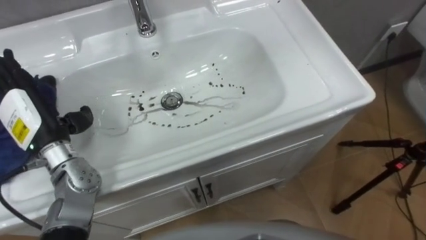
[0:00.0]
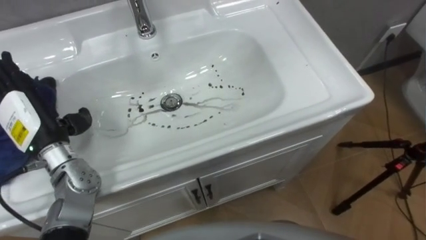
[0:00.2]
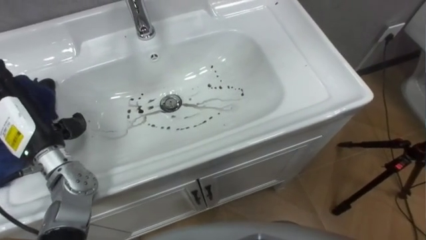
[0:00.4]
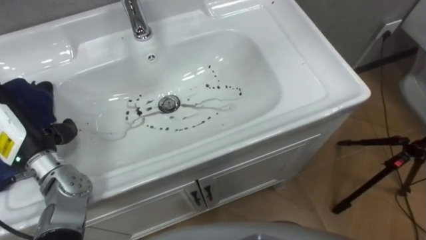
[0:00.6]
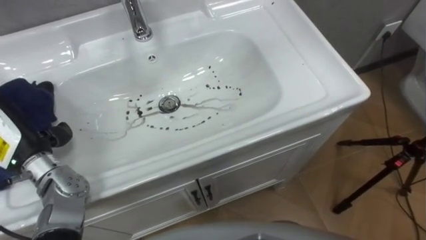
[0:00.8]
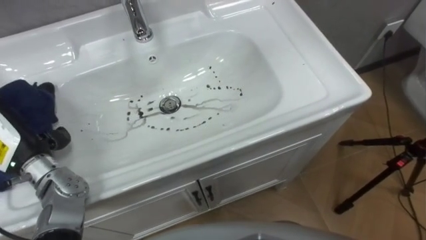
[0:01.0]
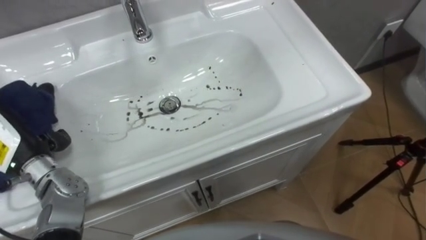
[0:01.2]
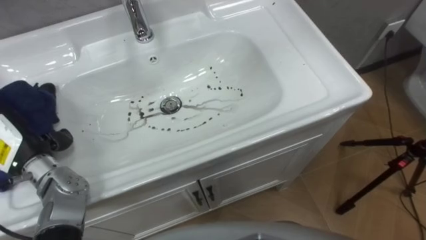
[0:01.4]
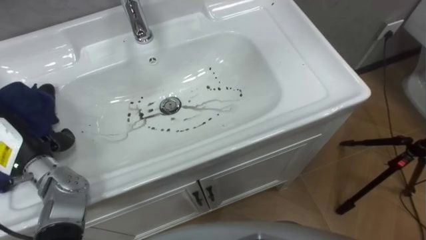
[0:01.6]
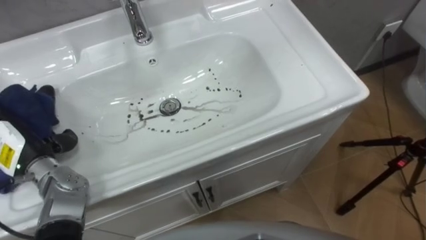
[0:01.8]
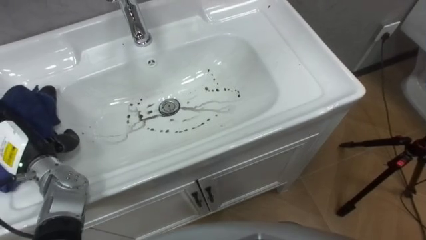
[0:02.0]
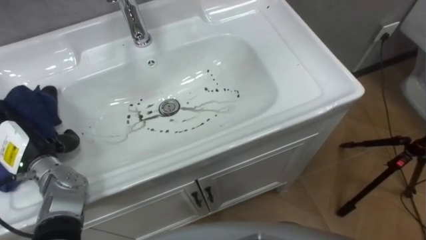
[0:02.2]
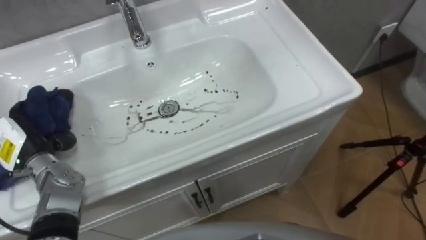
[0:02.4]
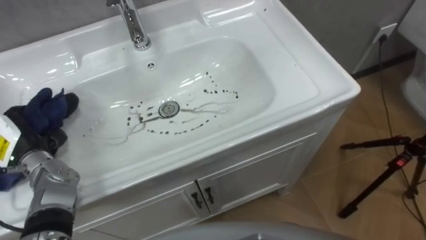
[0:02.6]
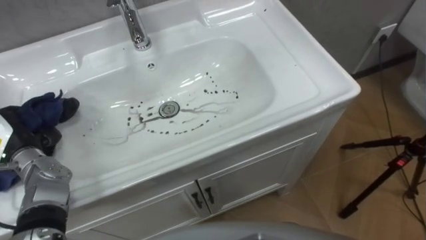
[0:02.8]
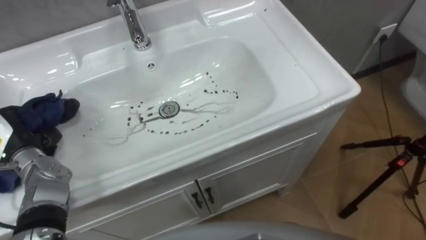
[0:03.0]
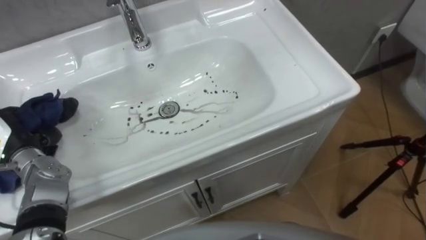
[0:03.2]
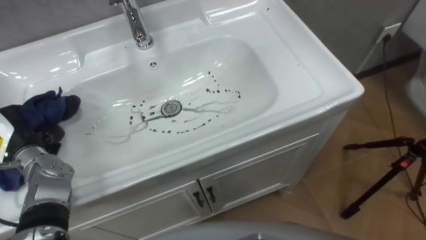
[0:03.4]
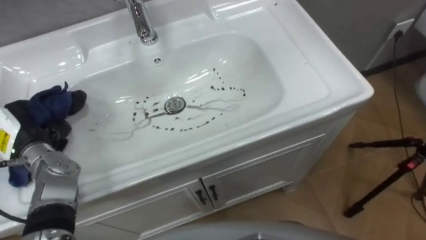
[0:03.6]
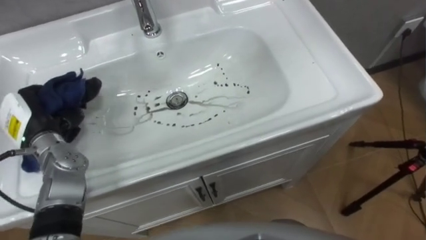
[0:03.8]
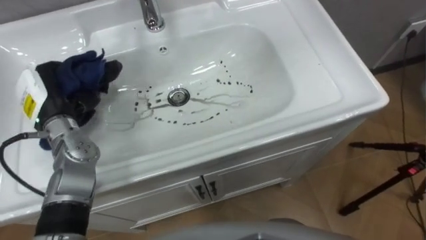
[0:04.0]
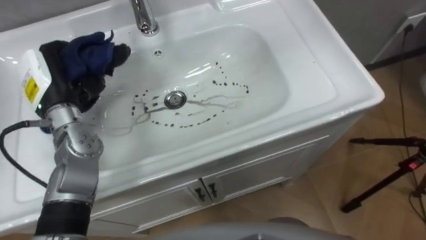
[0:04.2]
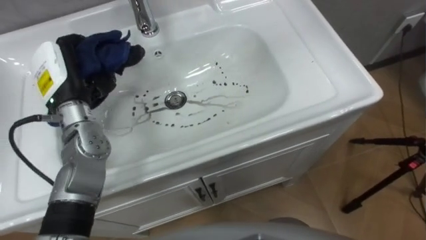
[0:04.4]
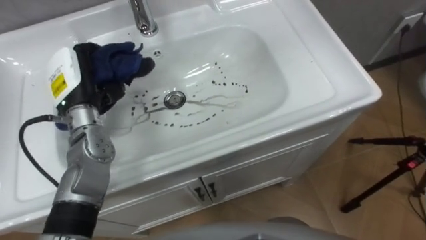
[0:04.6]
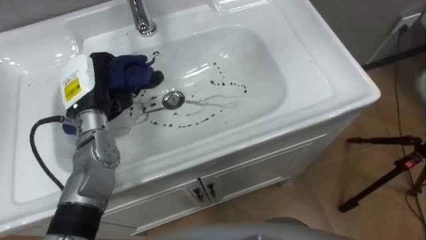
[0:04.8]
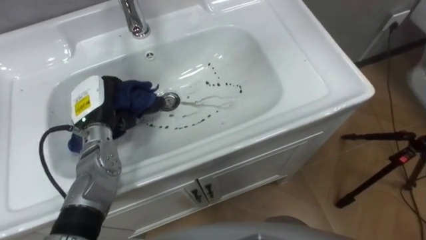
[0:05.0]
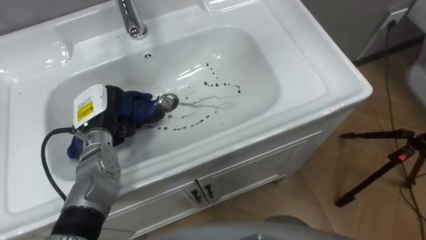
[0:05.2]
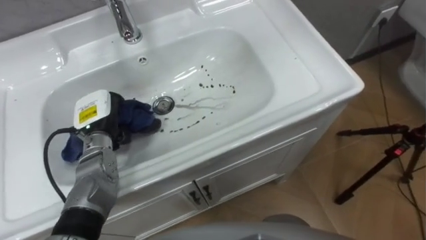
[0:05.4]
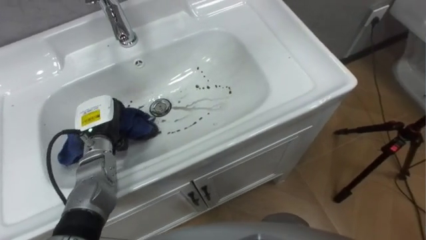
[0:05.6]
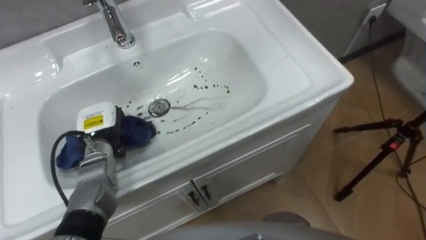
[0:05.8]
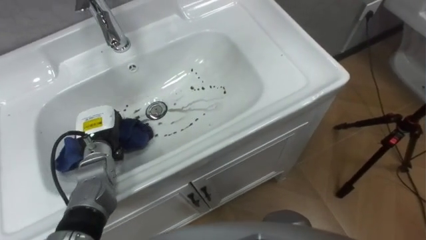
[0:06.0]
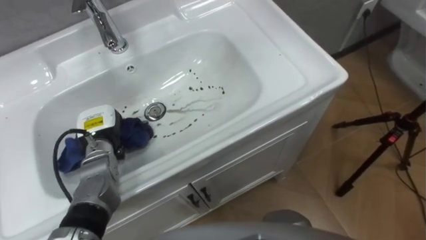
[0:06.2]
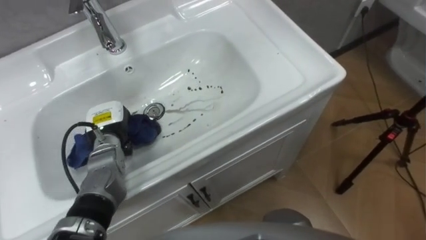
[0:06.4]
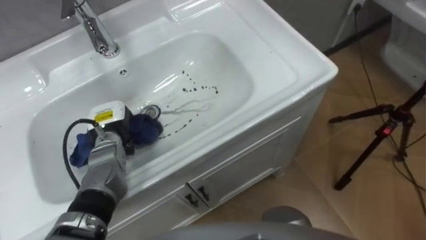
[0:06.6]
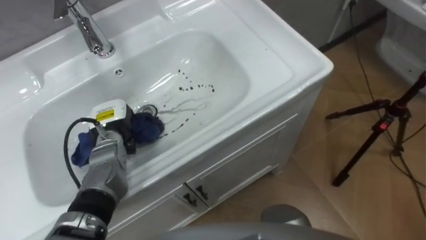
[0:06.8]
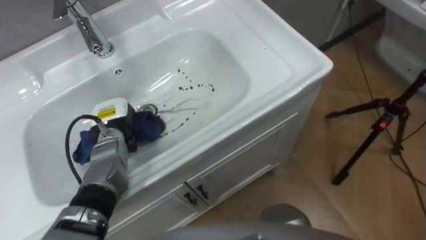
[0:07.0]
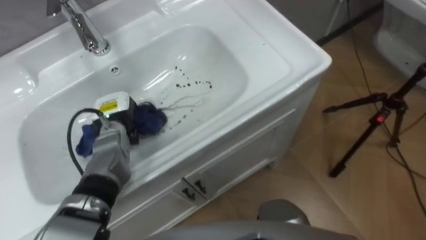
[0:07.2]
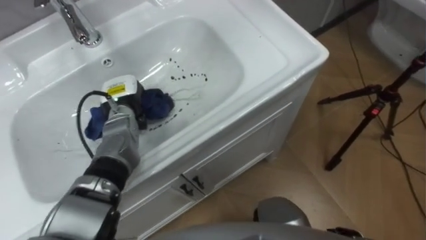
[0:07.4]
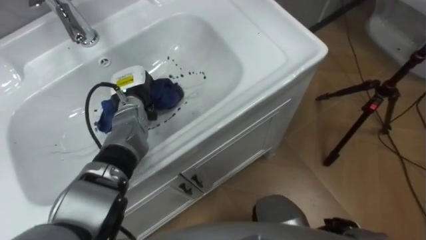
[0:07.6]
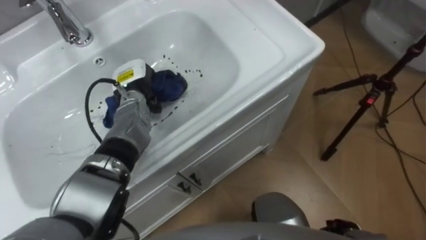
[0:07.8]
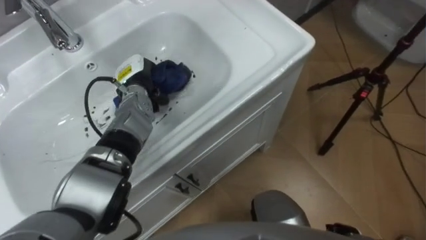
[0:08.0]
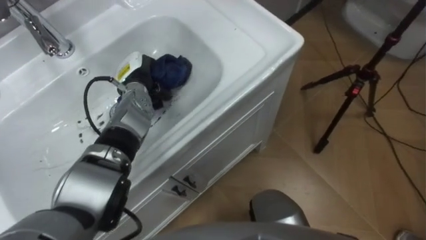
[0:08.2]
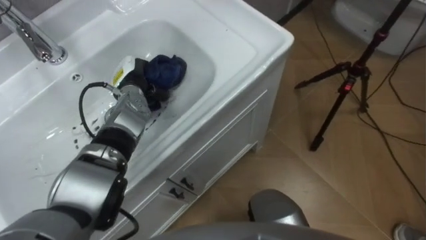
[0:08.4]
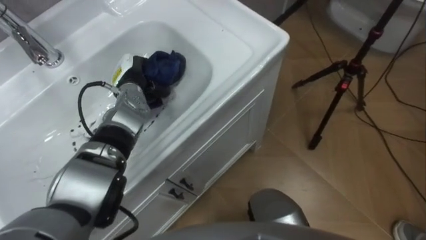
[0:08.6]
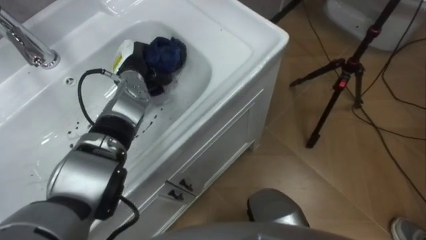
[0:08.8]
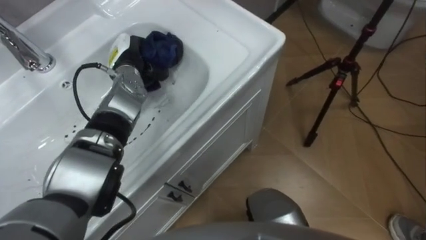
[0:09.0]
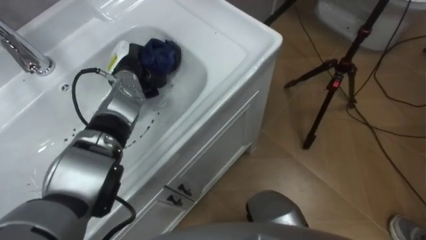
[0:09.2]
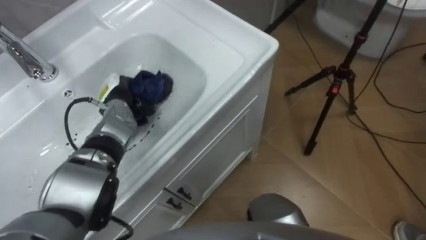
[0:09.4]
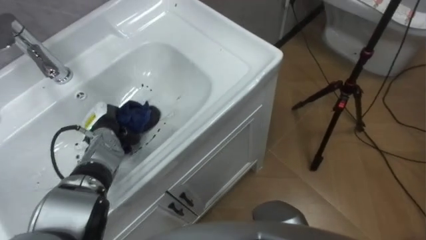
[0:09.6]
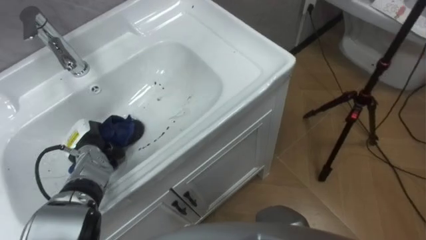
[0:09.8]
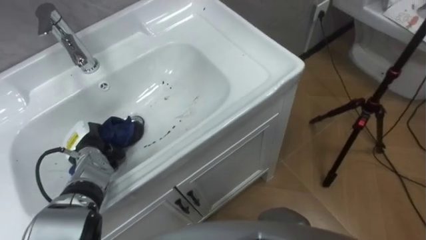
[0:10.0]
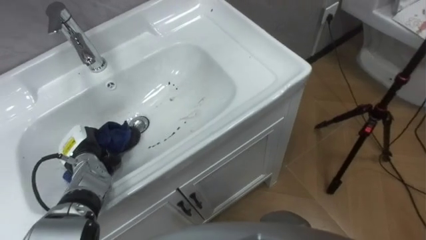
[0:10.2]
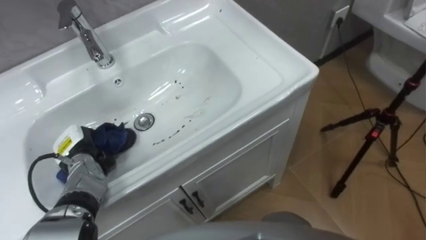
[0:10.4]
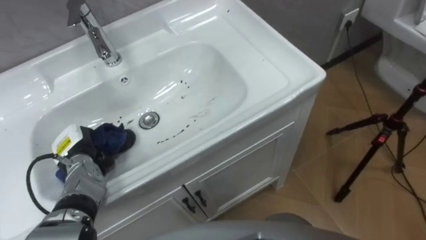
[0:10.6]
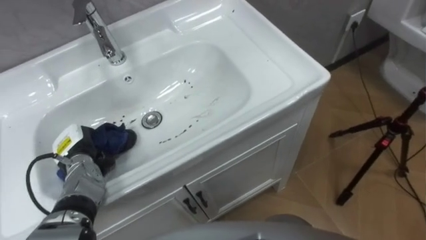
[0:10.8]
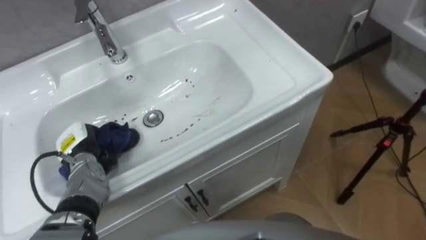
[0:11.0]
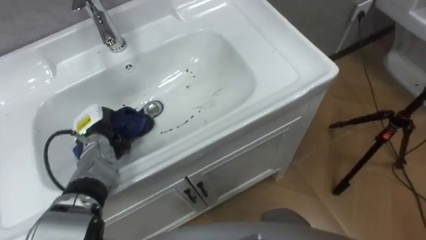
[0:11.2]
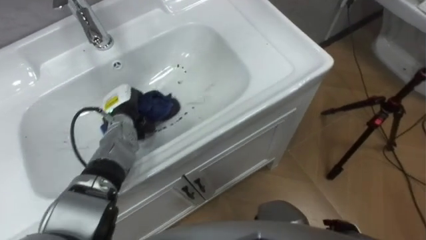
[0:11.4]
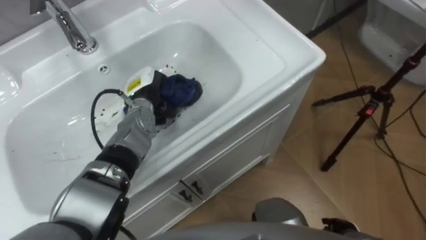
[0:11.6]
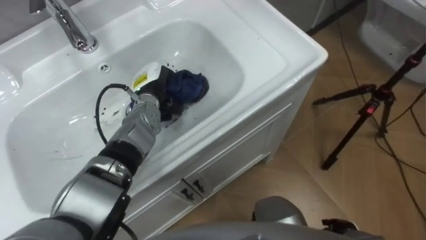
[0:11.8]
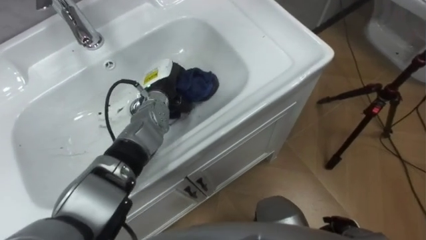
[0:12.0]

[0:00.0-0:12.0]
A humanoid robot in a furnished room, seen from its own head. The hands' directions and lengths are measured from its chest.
Task of the whole recording: Use the cloth on the right to wipe away the black stain in the sink.
0:00.0 to 0:01.6: The left hand shifts by about 5 cm.
0:01.6 to 0:03.0: The left hand closes its fingers.
0:03.0 to 0:04.4: The left hand shifts about 15 cm to the right, upward and forward.
0:04.4 to 0:06.0: The left hand moves downward, about 15 cm.
0:06.0 to 0:07.6: The left hand is displaced forward and to the right by some 10 cm.
0:07.6 to 0:09.0: The left hand ends up approximately 5 cm from where it was.
0:09.0 to 0:10.4: The left hand shifts approximately 25 cm backward, to the left and downward.
0:10.4 to 0:12.0: The left hand travels to the right and forward by some 25 cm.

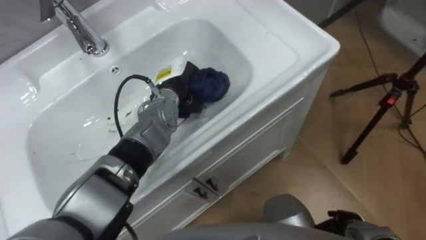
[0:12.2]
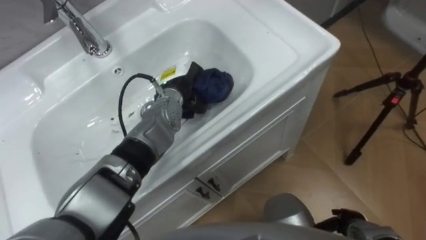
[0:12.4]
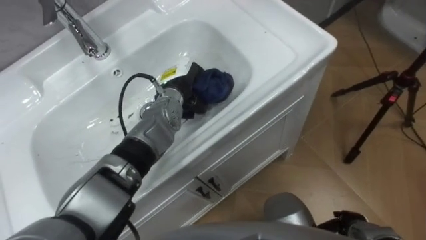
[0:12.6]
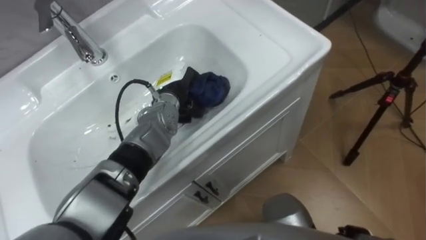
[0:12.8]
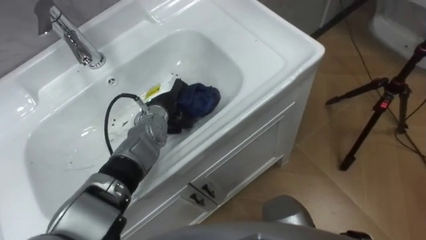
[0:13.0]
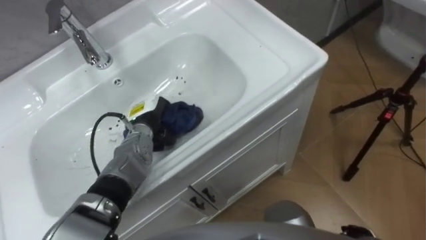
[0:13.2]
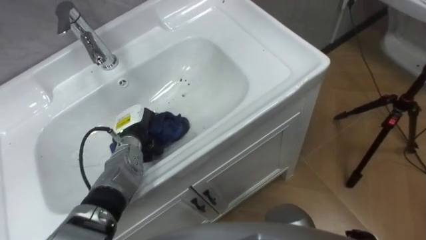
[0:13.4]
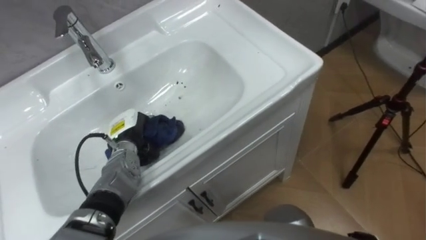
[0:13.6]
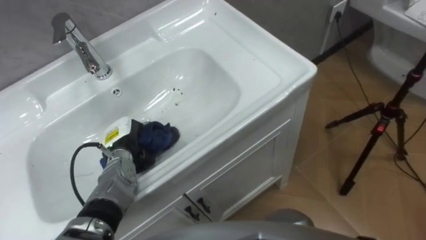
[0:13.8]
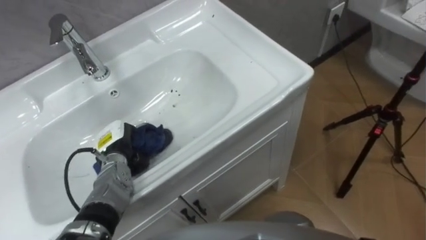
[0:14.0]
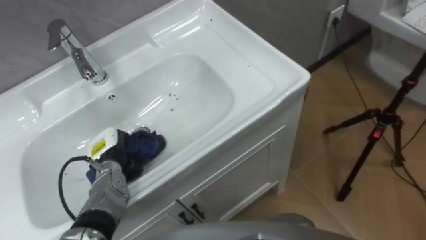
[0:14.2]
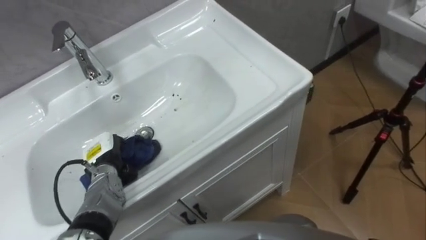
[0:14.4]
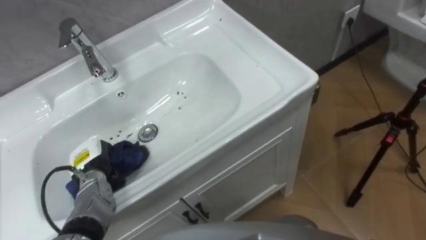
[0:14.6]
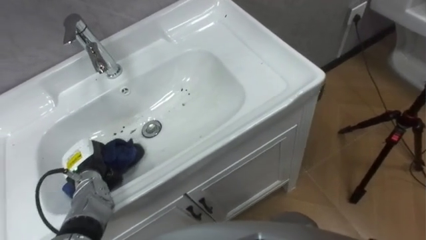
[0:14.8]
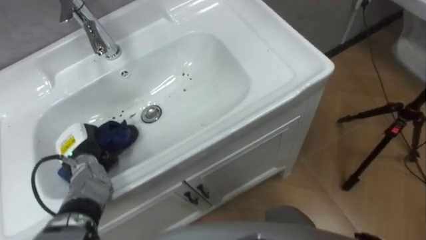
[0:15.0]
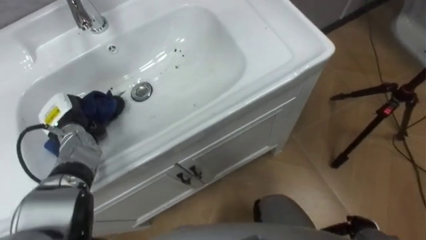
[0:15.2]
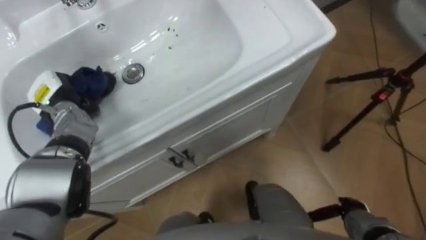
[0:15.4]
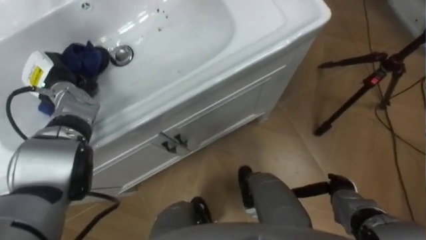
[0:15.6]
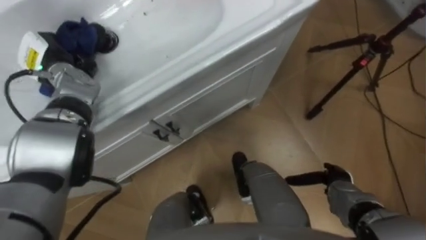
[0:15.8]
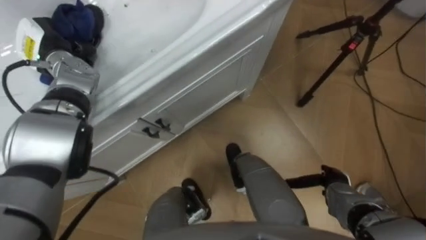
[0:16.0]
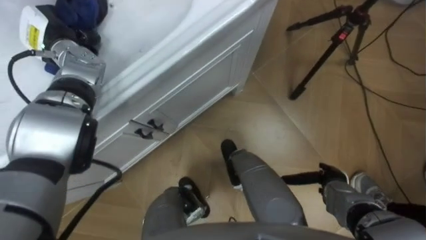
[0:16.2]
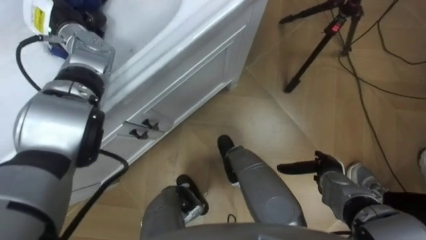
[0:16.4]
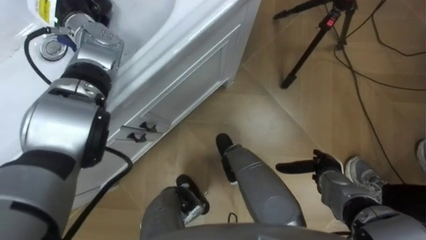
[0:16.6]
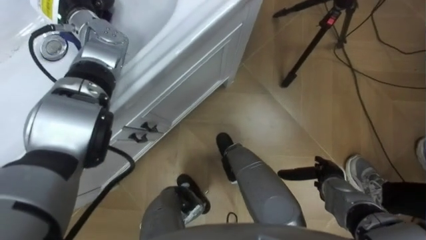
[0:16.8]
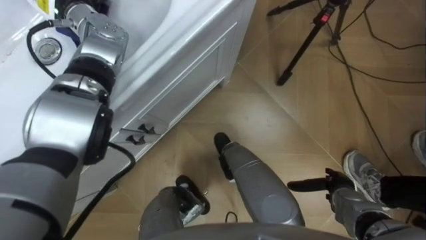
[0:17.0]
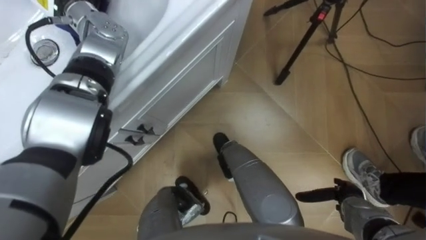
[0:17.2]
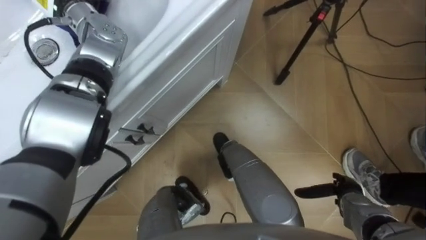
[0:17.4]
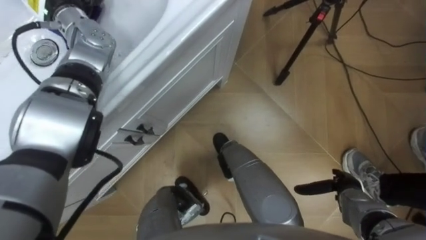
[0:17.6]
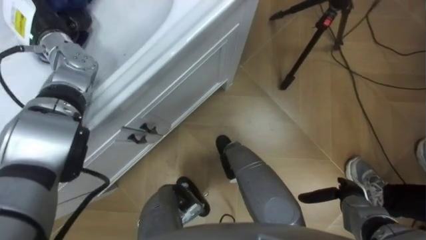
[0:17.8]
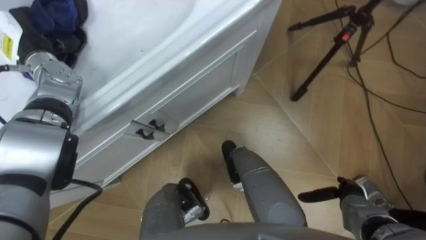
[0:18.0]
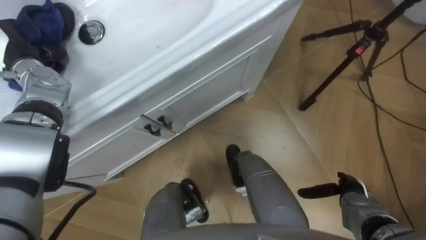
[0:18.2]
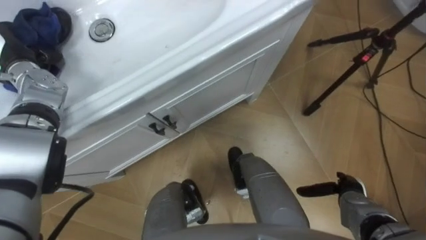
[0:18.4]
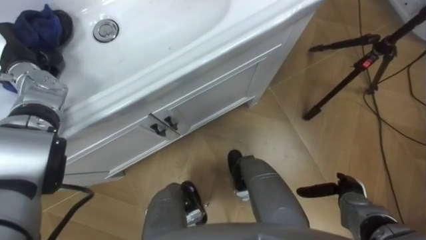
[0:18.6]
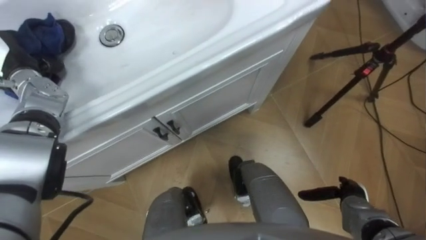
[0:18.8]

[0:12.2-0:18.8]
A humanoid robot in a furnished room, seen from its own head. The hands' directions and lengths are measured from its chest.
Task of the whole recording: Use the cloth on the right to wipe away the black stain in the sink.
0:12.2 to 0:13.8: The left hand is displaced to the left, backward and downward by about 20 cm.
0:13.8 to 0:15.4: The left hand travels to the left, upward and forward by approximately 15 cm.
0:15.4 to 0:17.2: The right hand travels forward and back again, roughly 10 cm each way.
